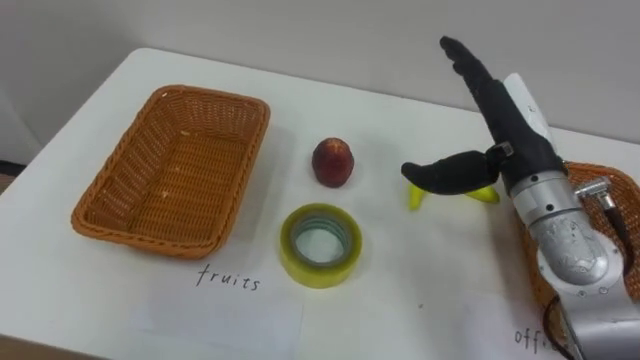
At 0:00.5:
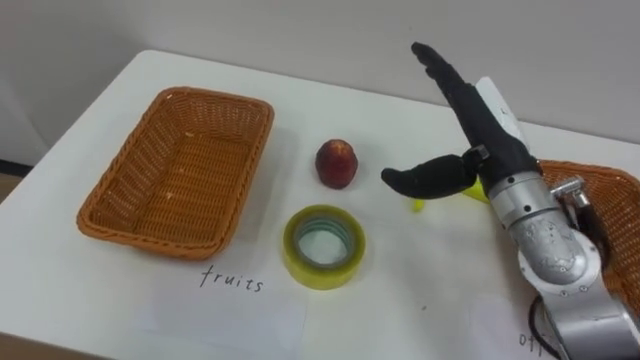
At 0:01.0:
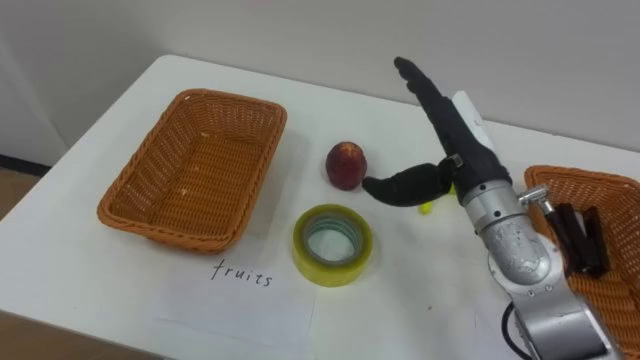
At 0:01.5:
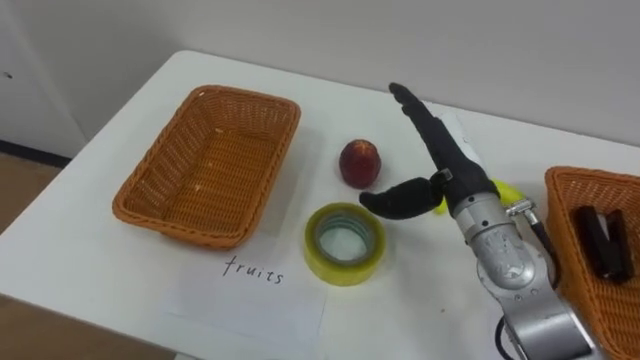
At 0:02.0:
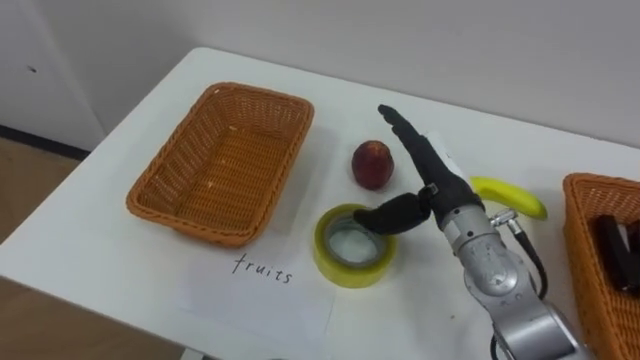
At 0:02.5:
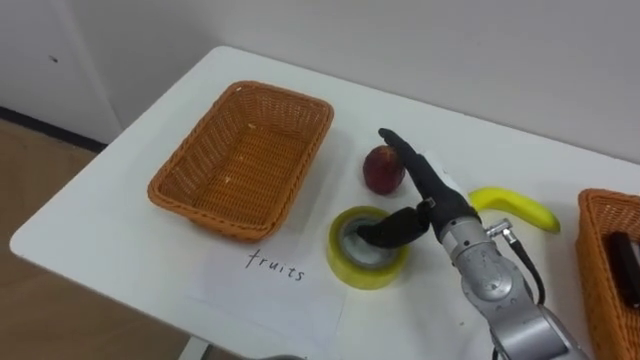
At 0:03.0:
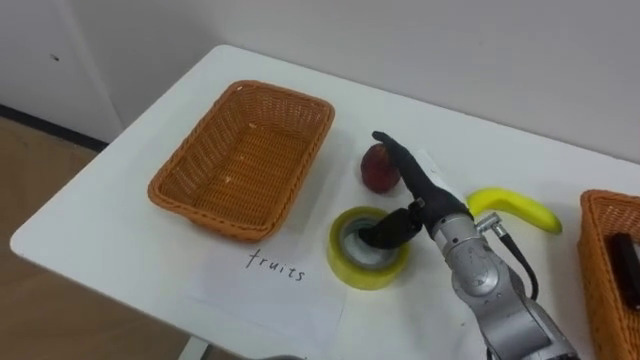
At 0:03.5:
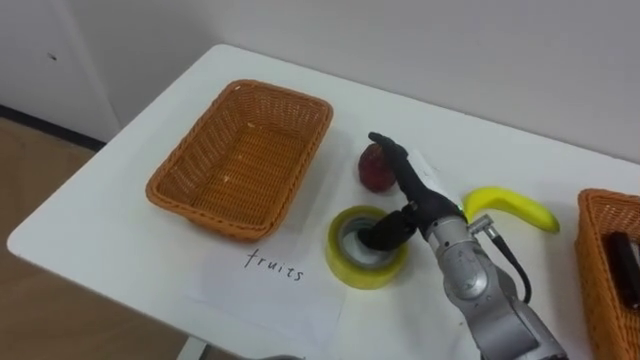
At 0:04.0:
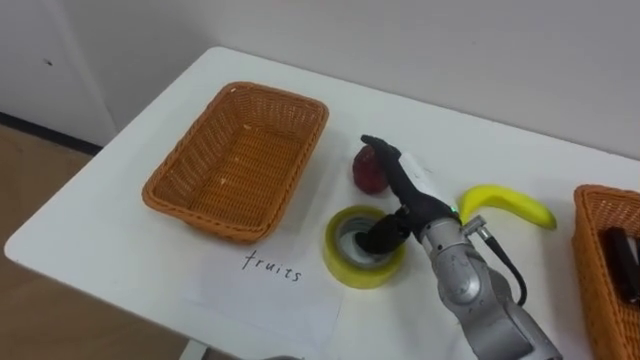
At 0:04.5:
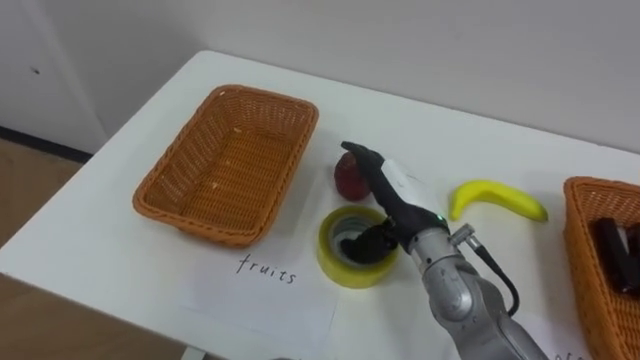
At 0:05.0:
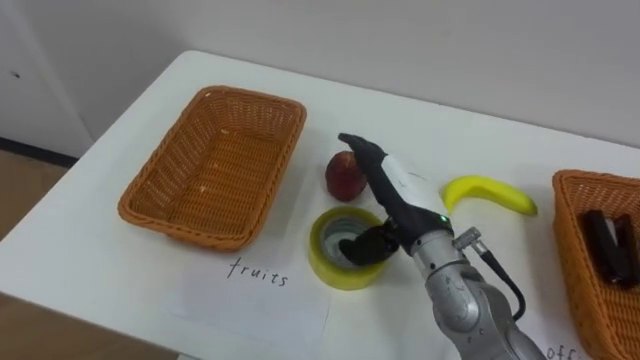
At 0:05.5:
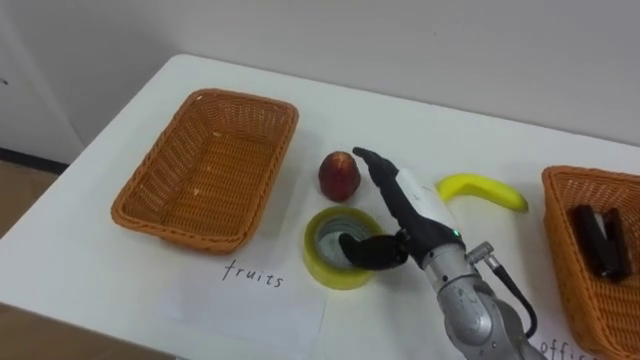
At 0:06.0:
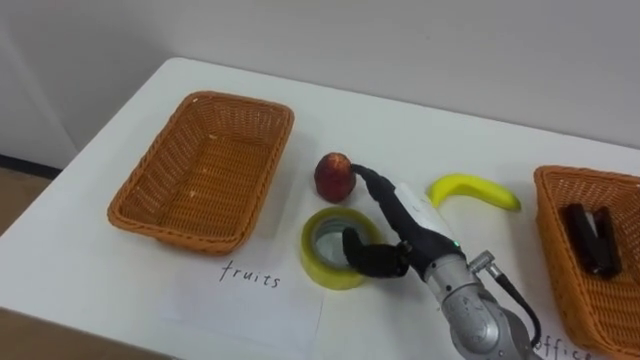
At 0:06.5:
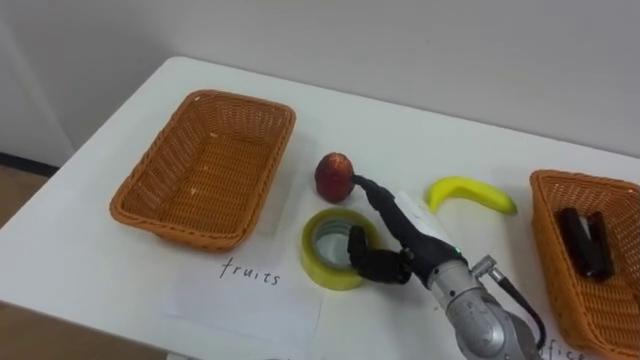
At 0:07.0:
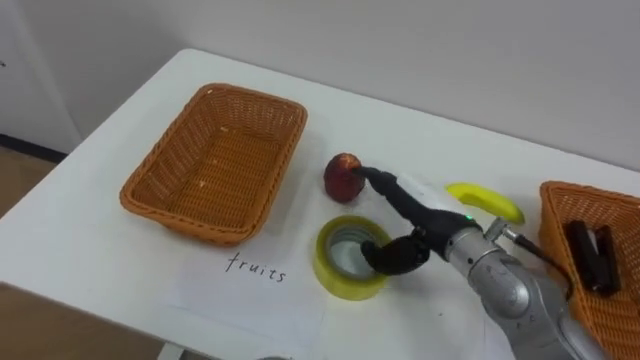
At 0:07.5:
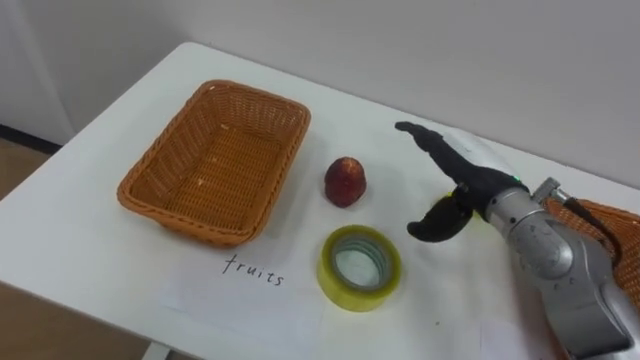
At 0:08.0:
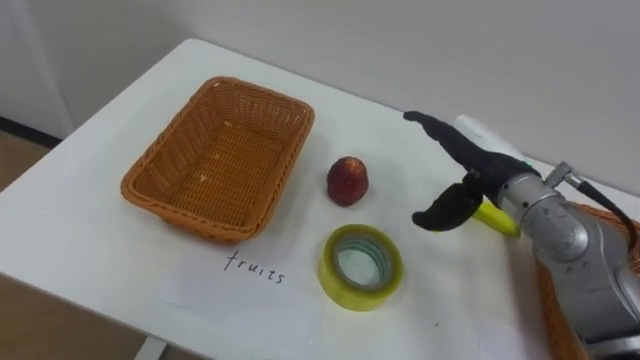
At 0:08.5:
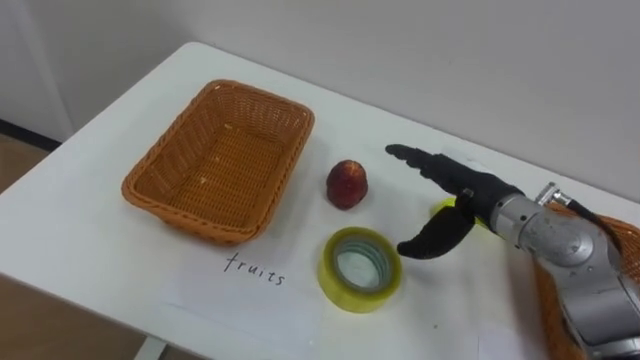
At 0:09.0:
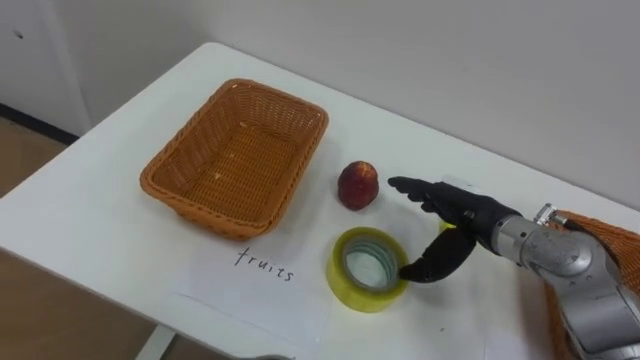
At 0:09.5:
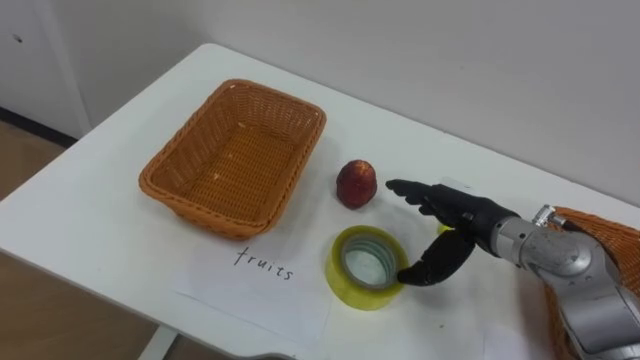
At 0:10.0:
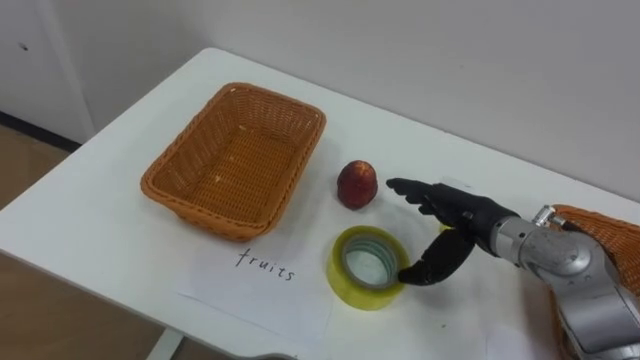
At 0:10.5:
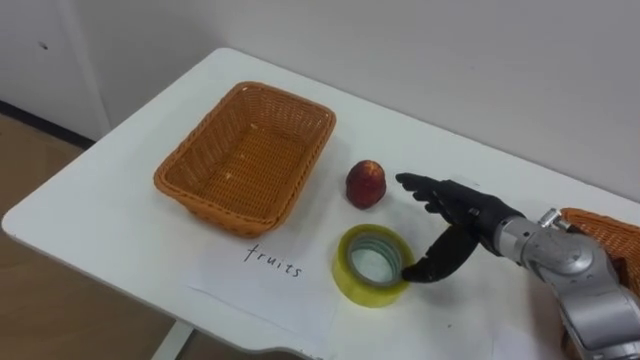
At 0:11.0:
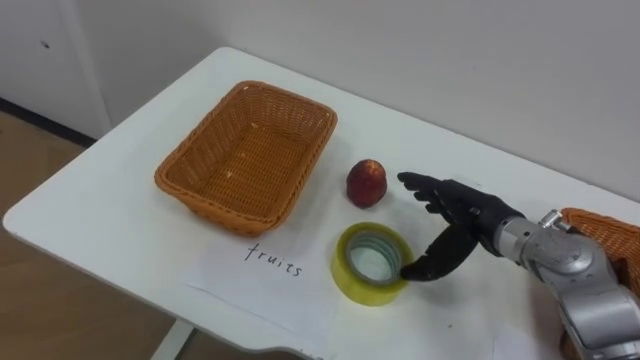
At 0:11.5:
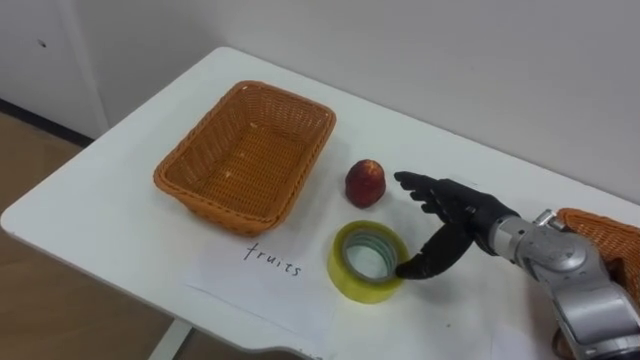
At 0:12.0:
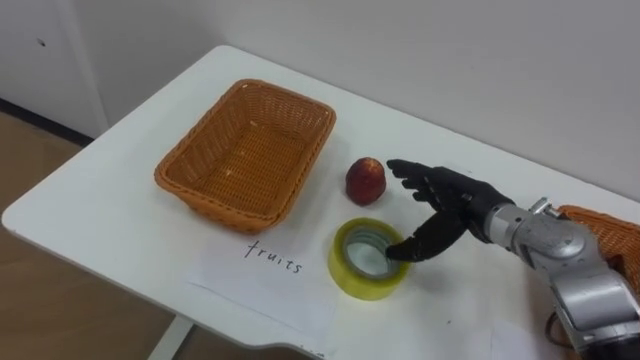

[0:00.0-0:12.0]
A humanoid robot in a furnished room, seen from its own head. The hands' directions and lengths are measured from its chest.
Task of the whole recording: Separate the items on the table and place them into the two baskets.
0:00.0 to 0:02.0: The right hand heads downward and to the left, covering about 10 cm.
0:06.0 to 0:08.0: The right hand travels to the right, upward and forward by about 10 cm.
0:08.0 to 0:10.0: The right hand shifts approximately 5 cm downward.

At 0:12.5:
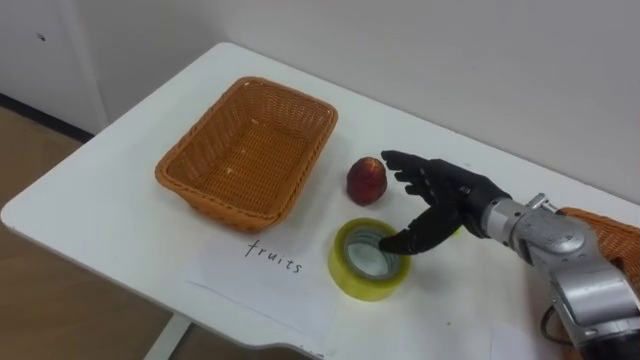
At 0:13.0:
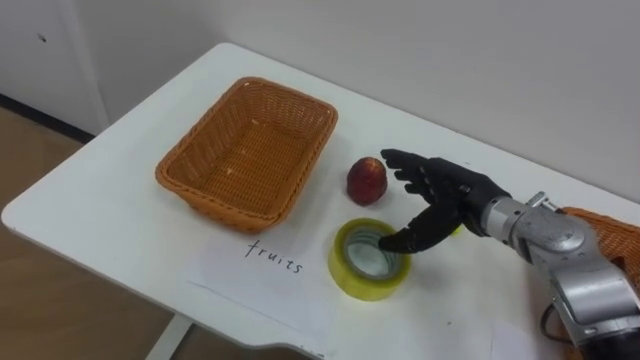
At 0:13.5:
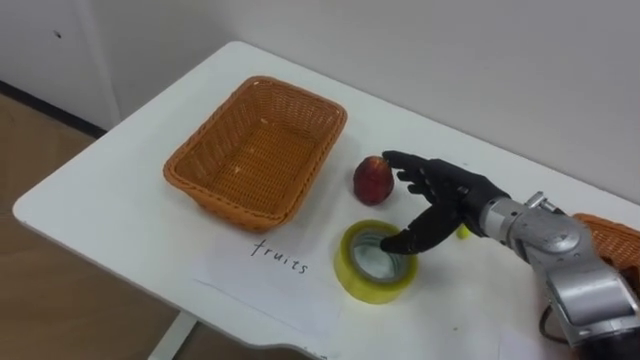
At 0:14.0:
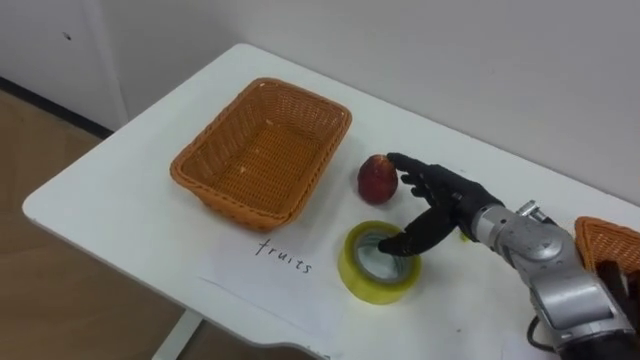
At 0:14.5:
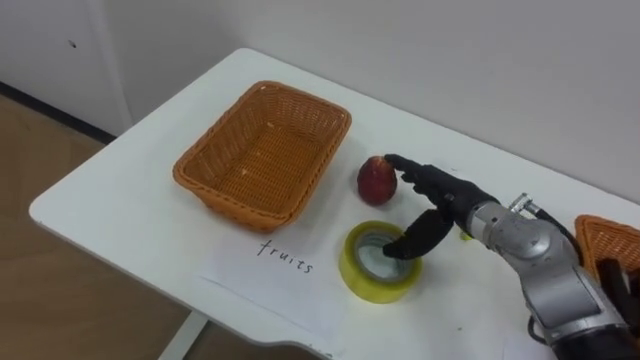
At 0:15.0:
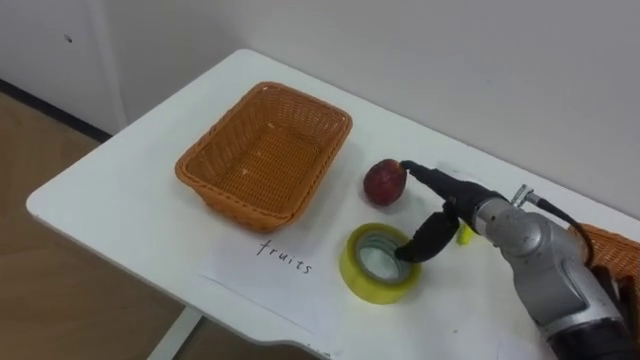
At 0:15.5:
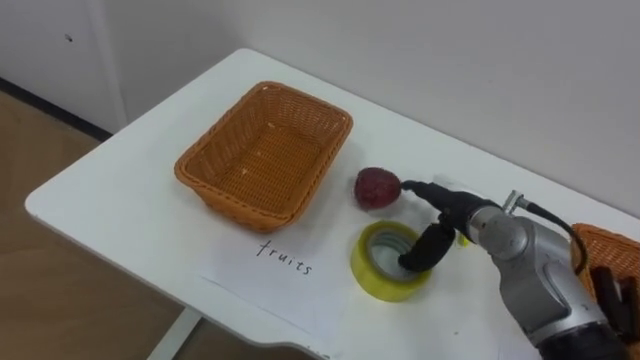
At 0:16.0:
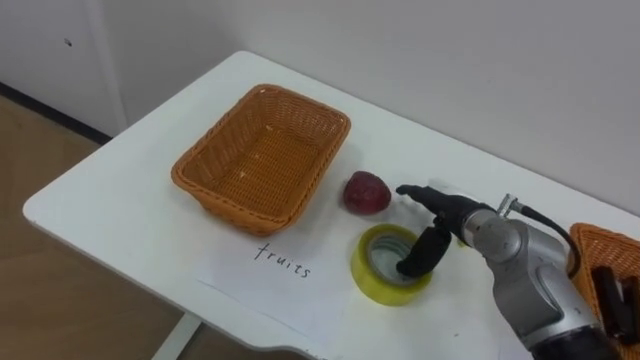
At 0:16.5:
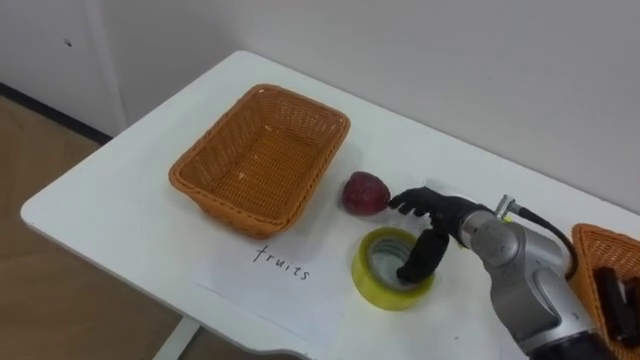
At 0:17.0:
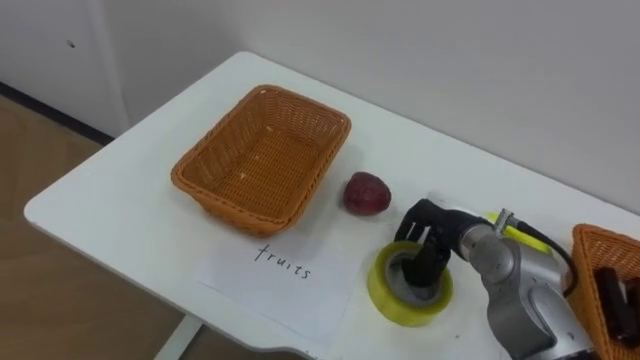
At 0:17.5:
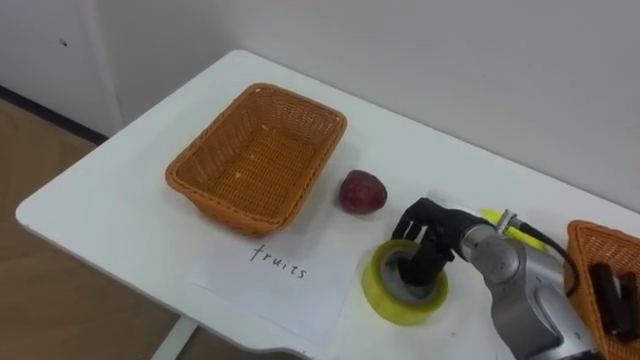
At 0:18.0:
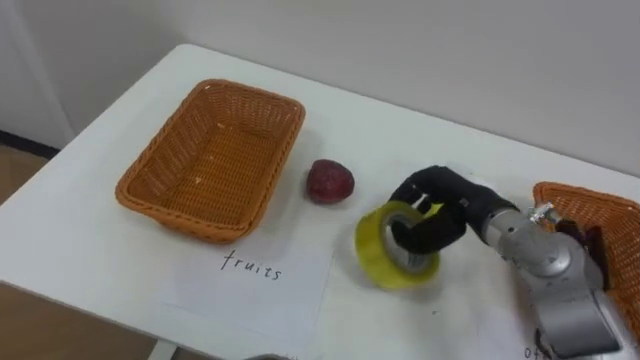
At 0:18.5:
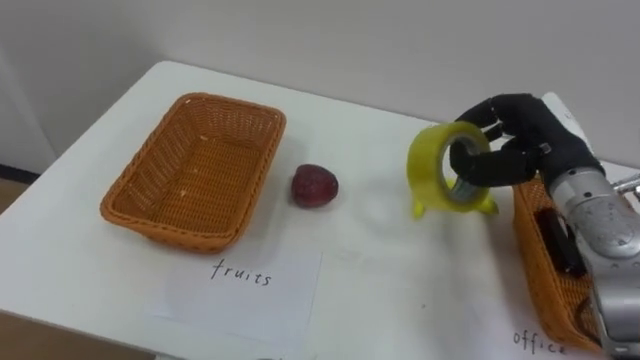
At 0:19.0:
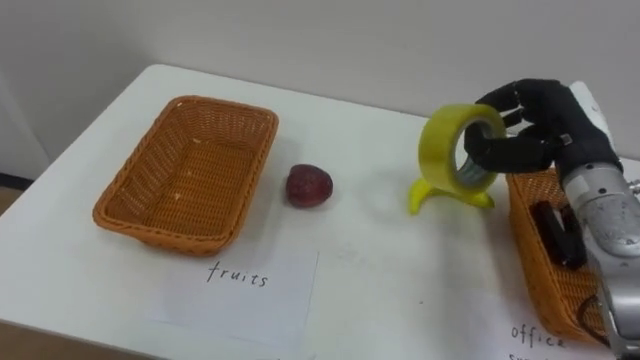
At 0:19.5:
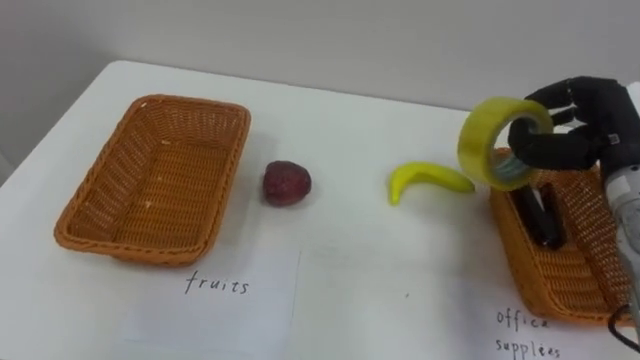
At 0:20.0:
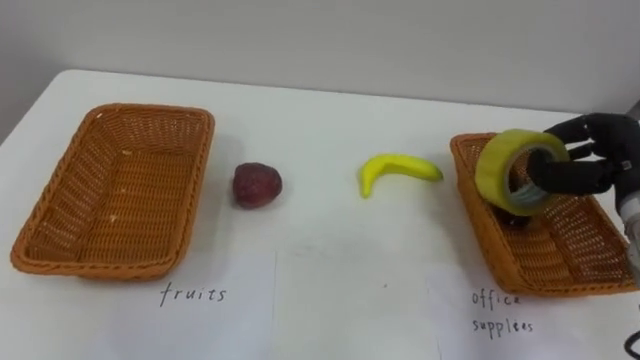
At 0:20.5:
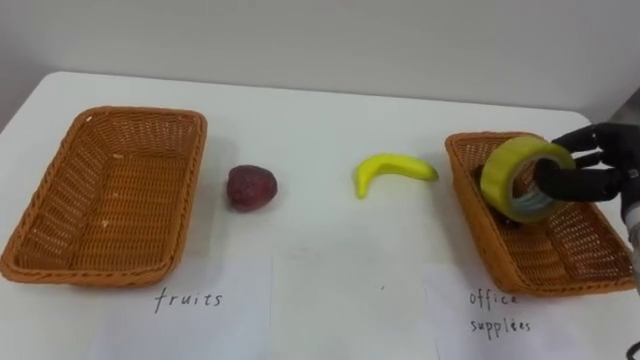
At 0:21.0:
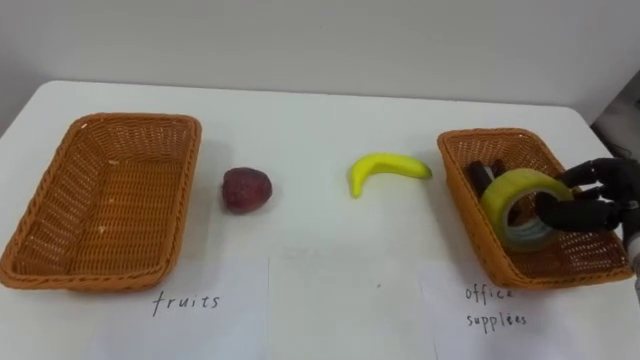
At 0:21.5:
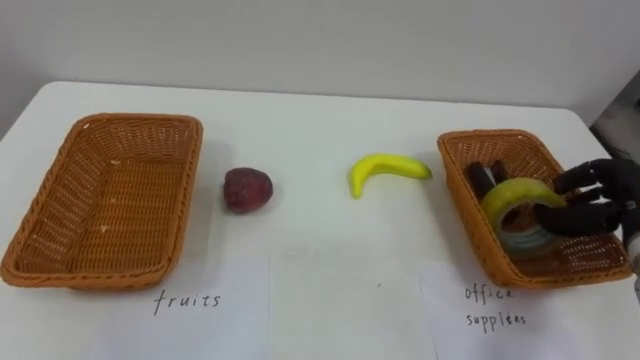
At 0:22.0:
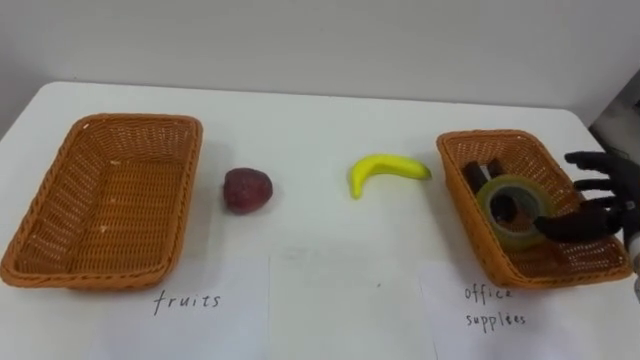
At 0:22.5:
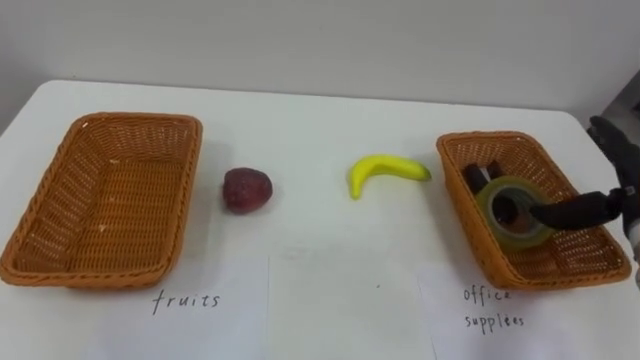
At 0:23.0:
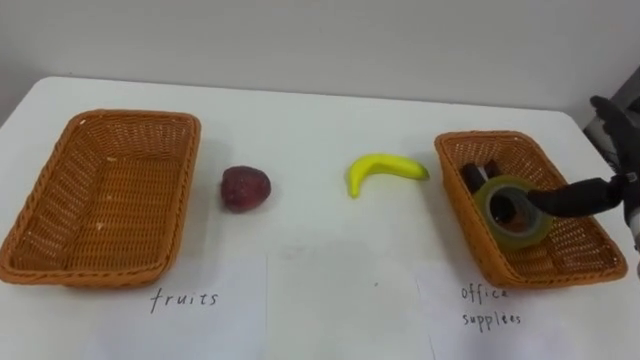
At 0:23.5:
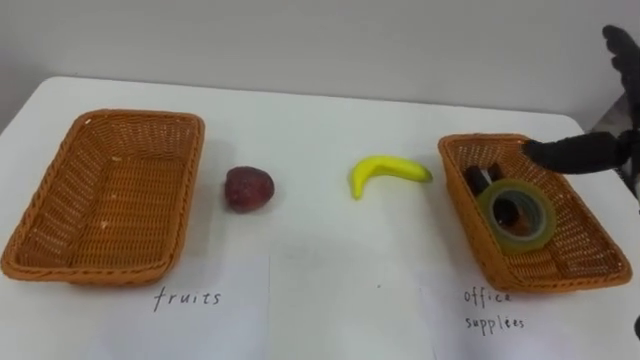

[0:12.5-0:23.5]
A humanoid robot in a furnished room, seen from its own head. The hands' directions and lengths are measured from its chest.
Task of the whole recording: Separate the items on the table and place them into the two baskets.
0:16.0 to 0:18.0: The right hand closes its fingers.
0:18.0 to 0:20.0: The right hand shifts some 15 cm to the right.
0:20.0 to 0:21.5: The right hand ends up some 5 cm from where it was.
